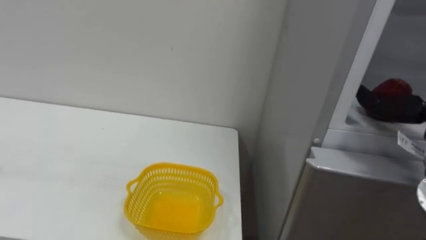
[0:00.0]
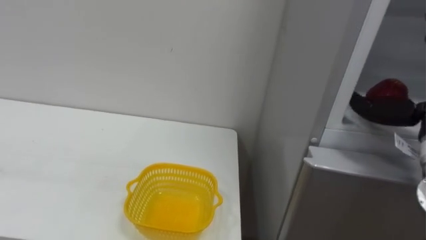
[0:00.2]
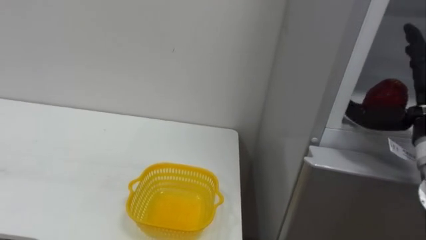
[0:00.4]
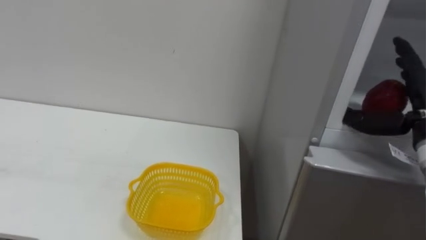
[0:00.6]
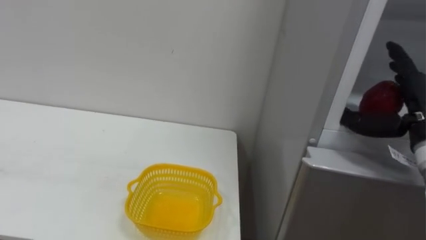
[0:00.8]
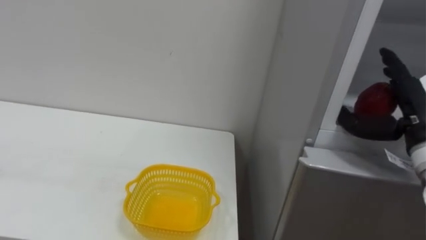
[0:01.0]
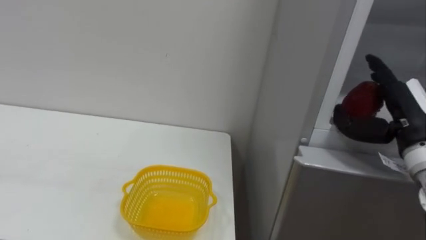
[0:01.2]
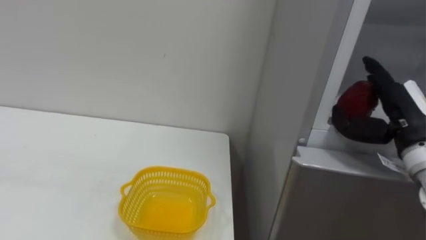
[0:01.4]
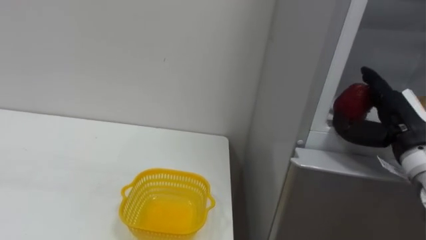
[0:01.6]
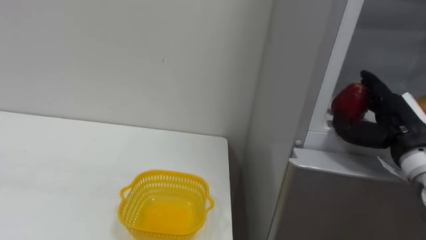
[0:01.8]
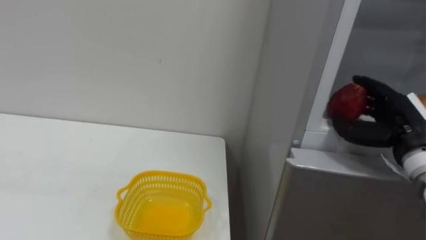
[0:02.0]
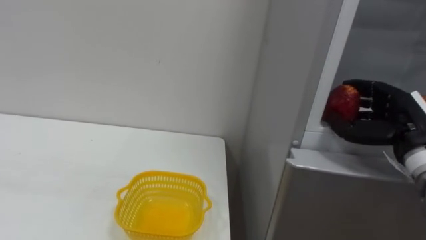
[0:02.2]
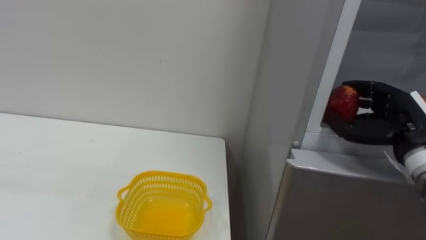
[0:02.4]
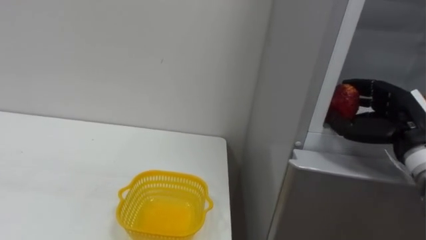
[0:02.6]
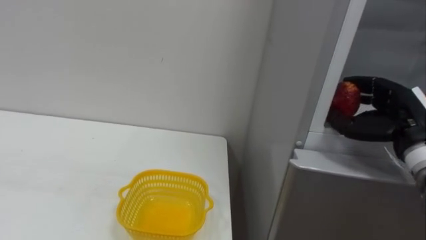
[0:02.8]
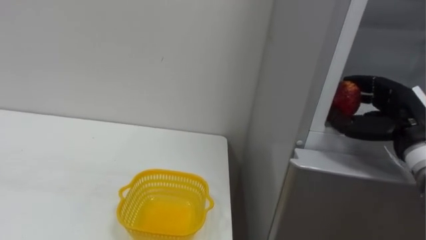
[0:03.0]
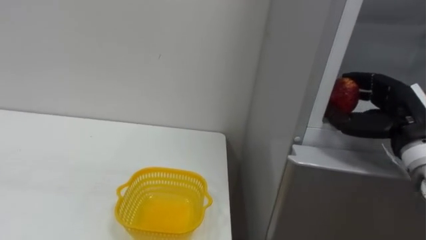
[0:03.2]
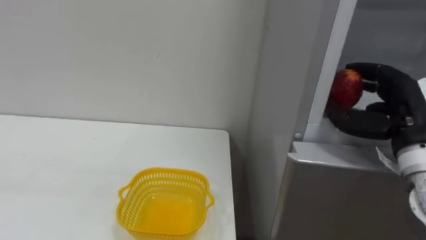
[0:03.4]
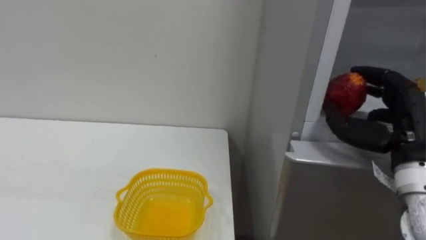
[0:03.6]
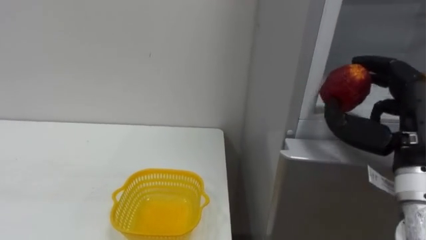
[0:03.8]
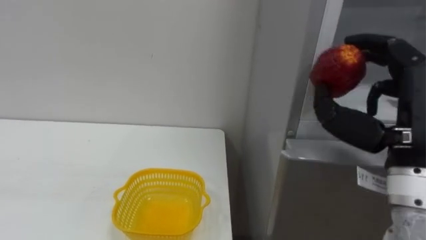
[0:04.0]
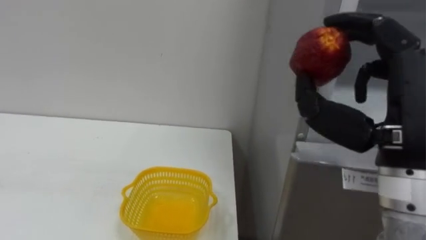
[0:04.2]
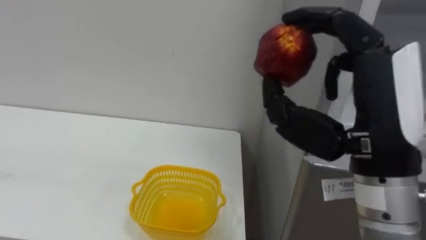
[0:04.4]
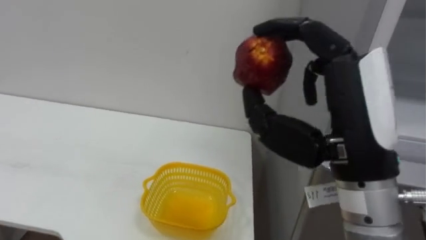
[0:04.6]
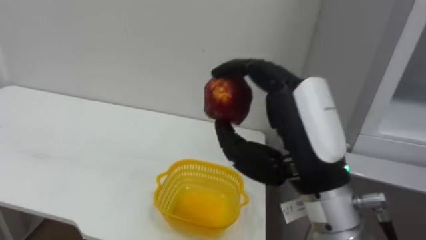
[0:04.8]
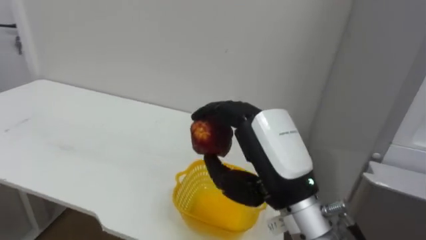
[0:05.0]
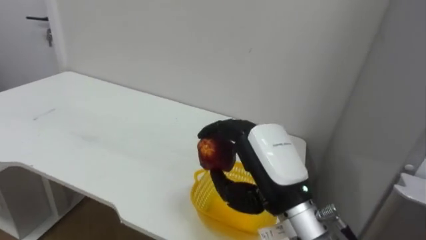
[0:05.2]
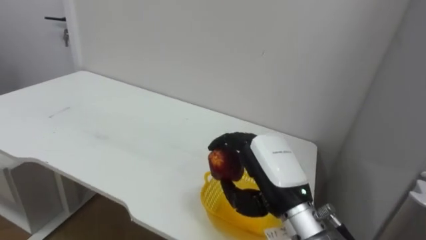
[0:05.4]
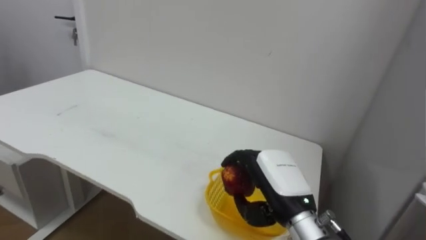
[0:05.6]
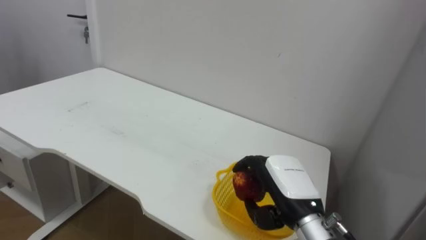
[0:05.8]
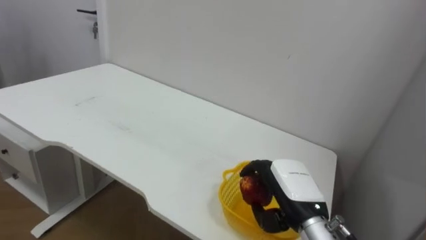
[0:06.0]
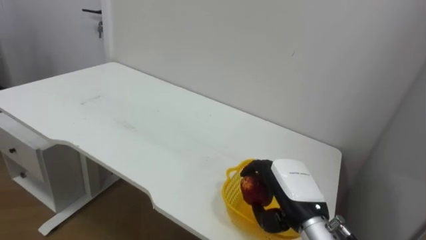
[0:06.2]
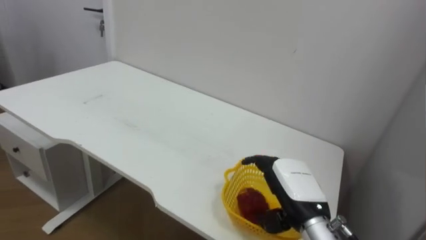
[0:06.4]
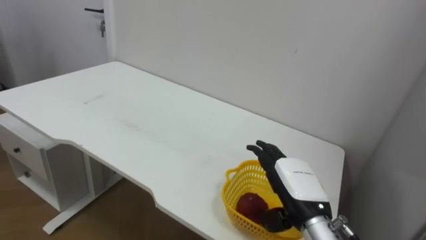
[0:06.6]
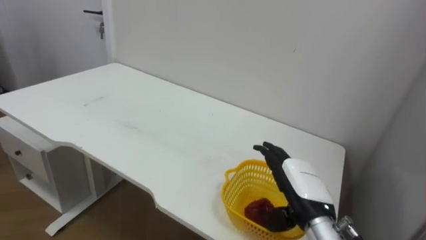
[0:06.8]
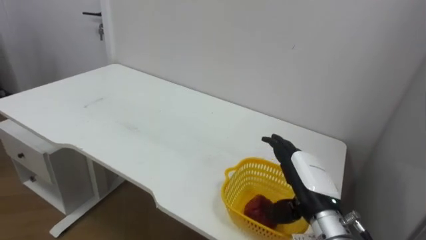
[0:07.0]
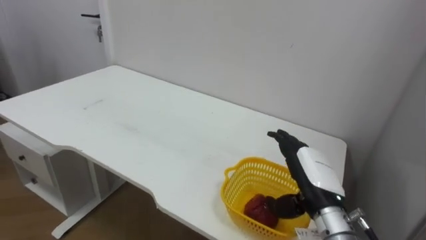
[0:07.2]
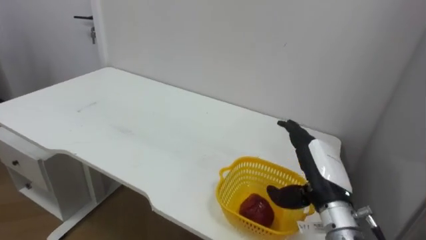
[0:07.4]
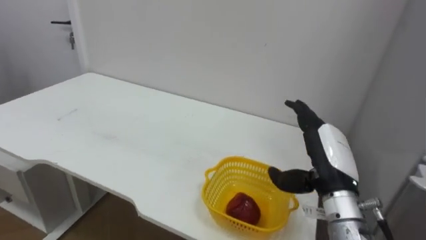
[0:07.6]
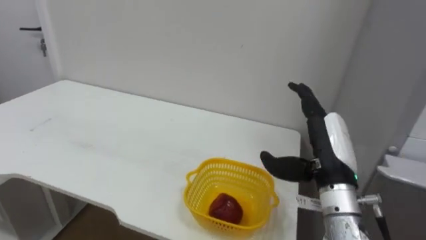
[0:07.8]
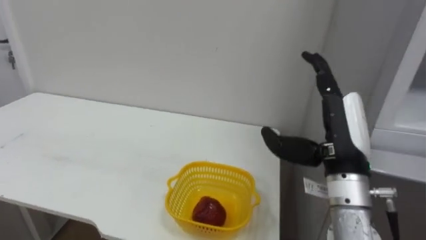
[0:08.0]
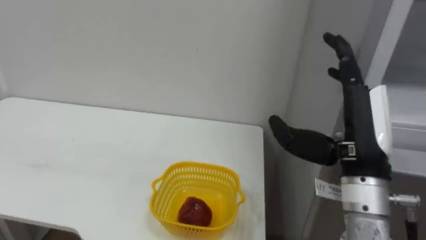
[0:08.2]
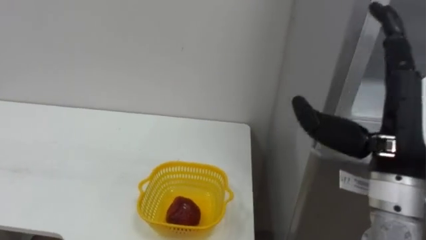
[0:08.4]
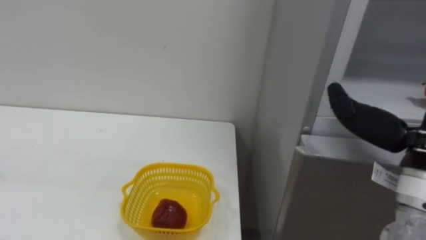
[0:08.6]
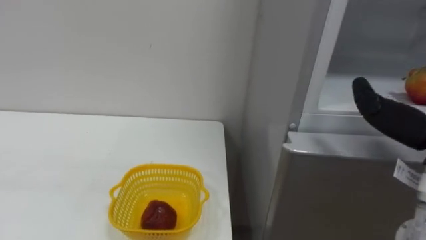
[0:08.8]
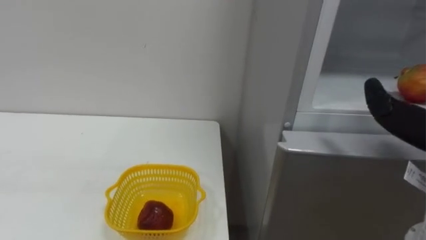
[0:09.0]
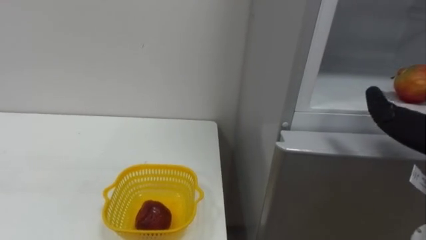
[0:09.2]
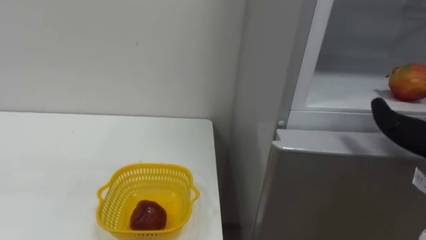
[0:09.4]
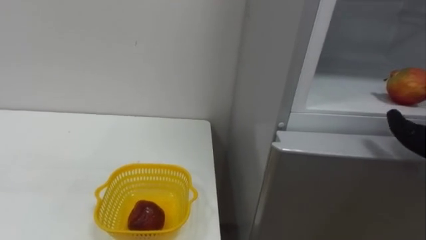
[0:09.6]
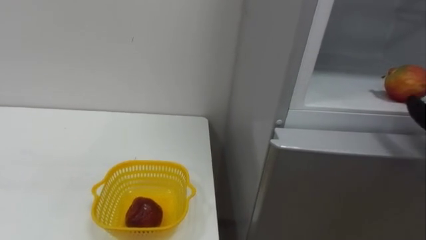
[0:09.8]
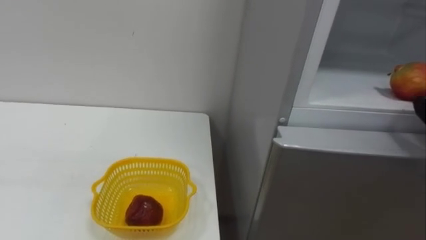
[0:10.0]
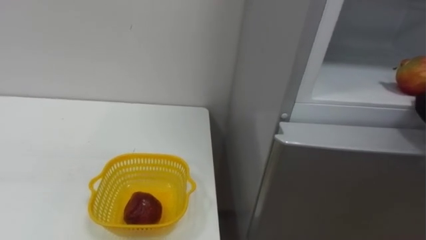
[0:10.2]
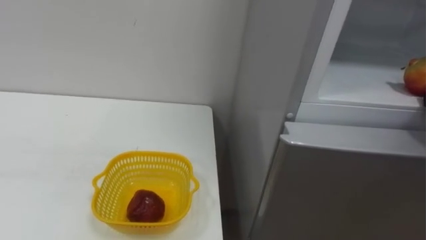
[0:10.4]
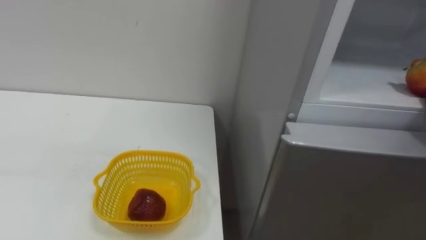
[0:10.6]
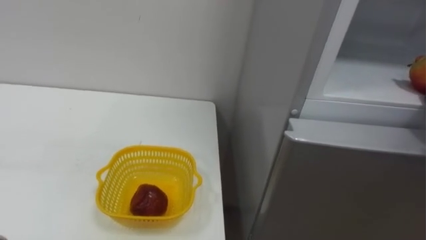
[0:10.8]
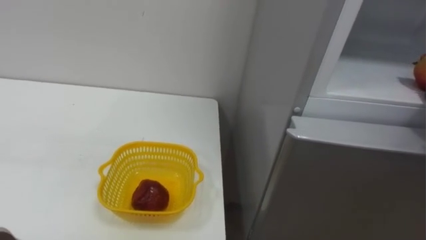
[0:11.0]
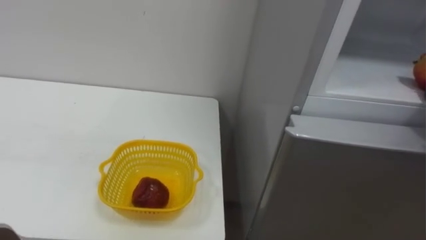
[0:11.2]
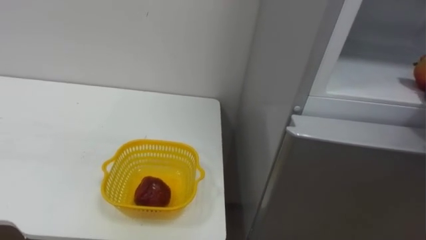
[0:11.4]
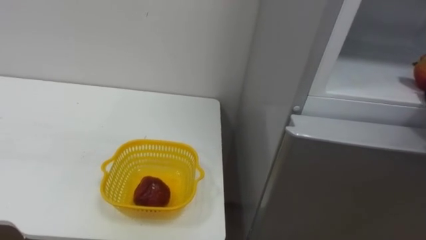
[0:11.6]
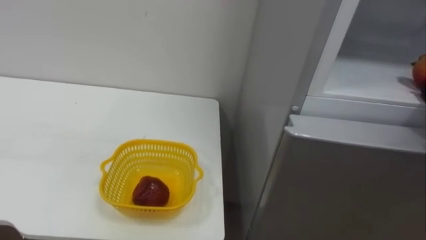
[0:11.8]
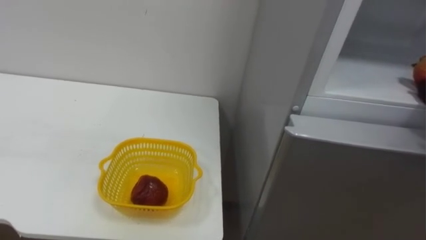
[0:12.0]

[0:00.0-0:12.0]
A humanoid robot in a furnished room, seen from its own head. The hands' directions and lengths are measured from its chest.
Task of the whole recording: Open the refrigerator door, take out the apple and the pomegranate, place them in the fruit basket on the left, and close the refrigerator door.
0:01.6 to 0:03.0: The right hand closes up.
0:03.0 to 0:04.4: The right hand goes approximately 20 cm backward, to the left and upward.
0:04.4 to 0:06.0: The right hand heads downward and forward, covering roughly 25 cm.
0:06.0 to 0:07.6: The right hand moves to the right and upward, roughly 5 cm, and opens its fingers.

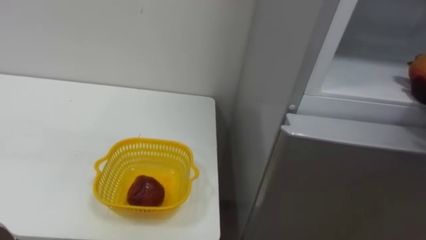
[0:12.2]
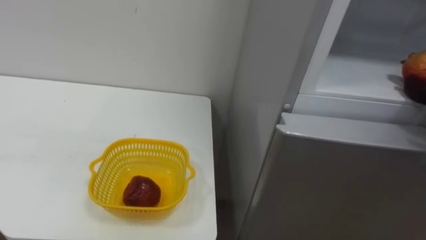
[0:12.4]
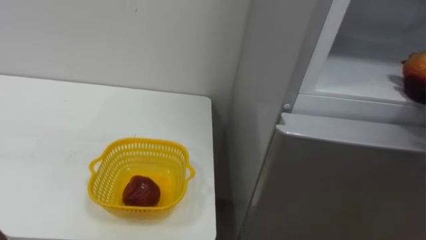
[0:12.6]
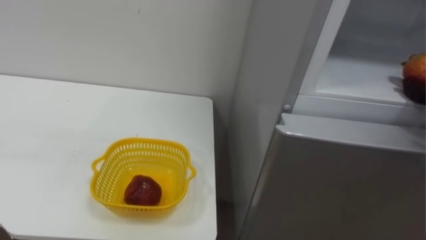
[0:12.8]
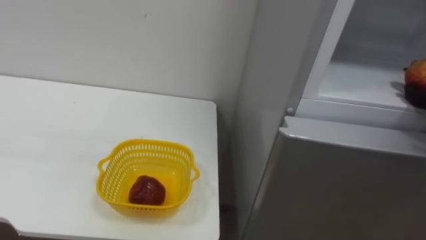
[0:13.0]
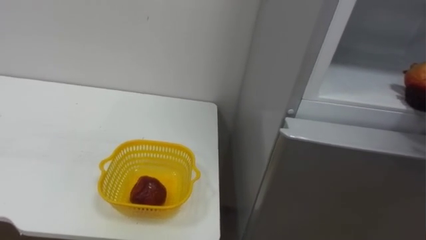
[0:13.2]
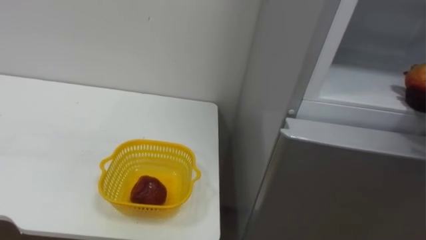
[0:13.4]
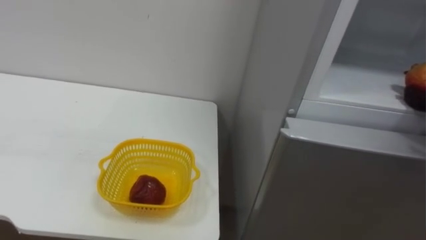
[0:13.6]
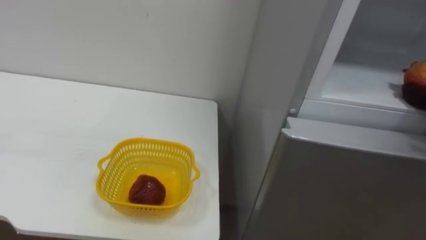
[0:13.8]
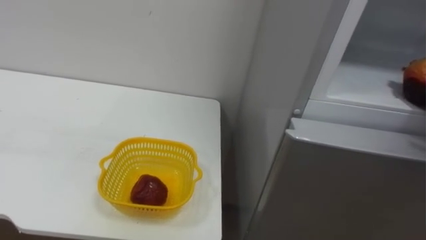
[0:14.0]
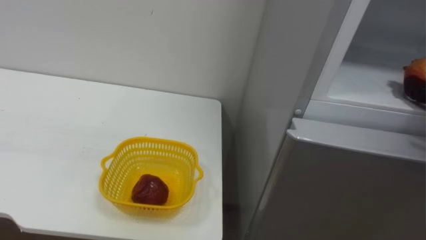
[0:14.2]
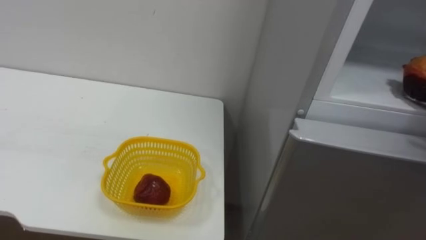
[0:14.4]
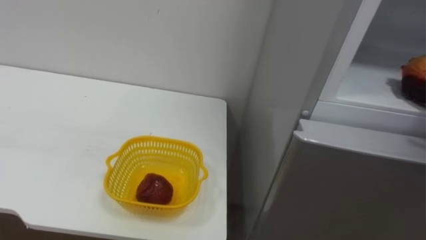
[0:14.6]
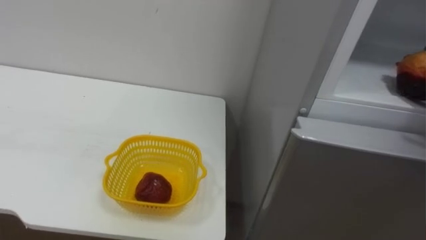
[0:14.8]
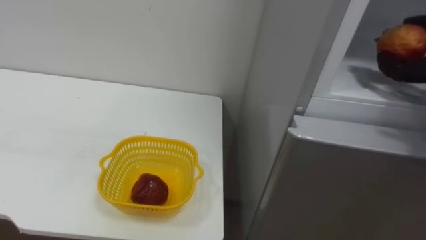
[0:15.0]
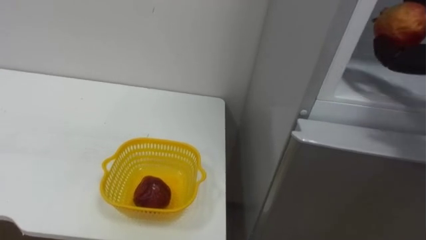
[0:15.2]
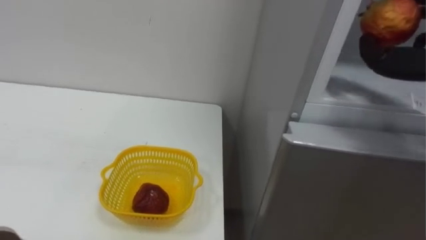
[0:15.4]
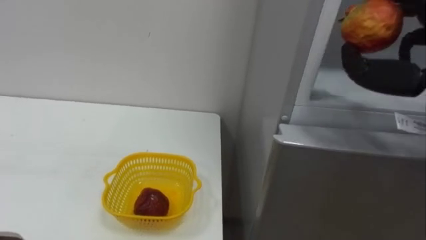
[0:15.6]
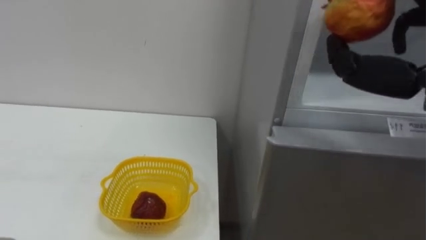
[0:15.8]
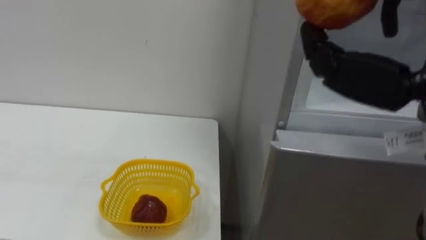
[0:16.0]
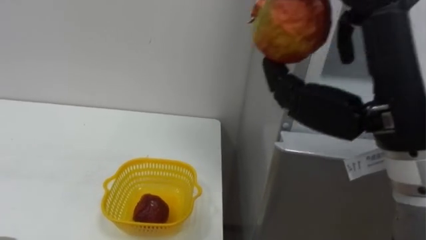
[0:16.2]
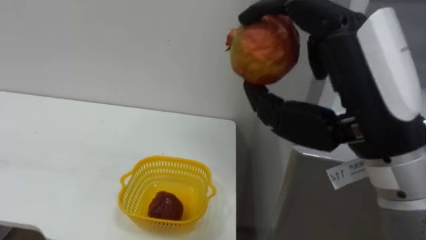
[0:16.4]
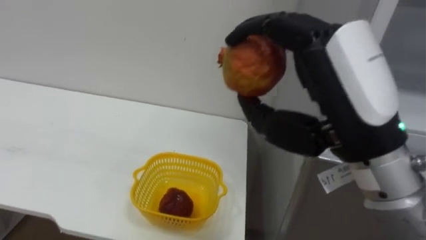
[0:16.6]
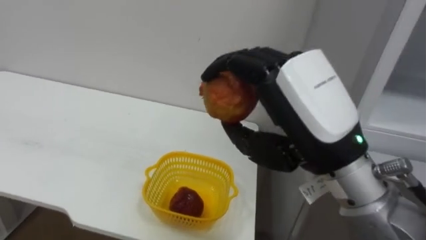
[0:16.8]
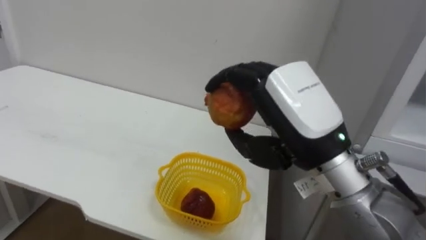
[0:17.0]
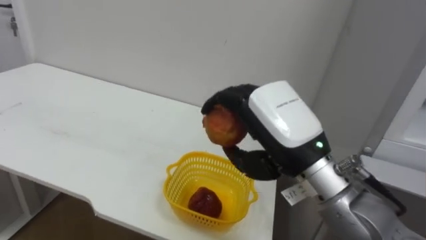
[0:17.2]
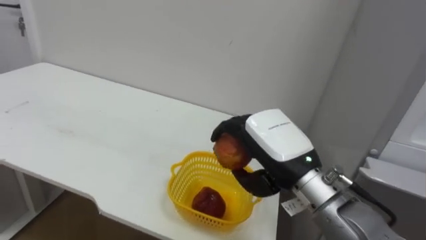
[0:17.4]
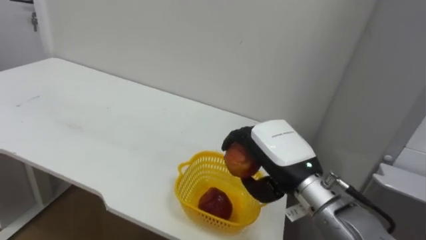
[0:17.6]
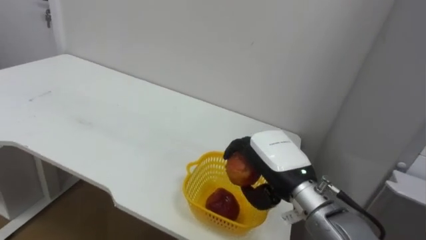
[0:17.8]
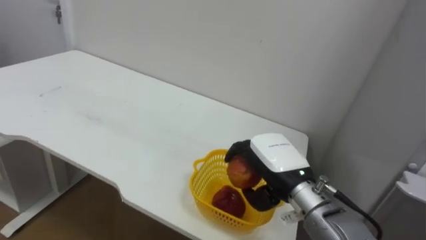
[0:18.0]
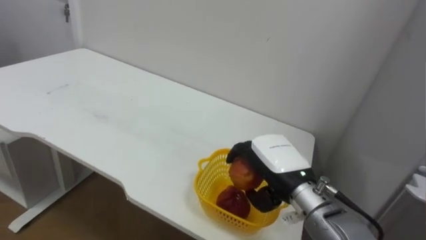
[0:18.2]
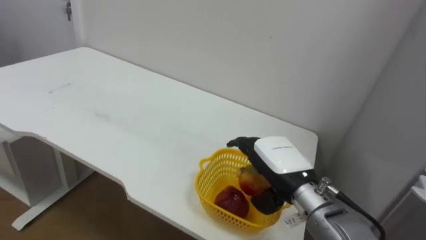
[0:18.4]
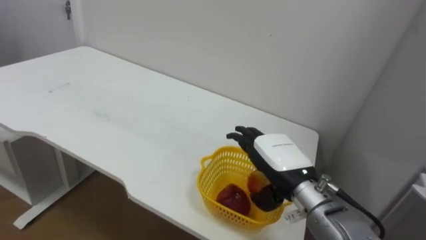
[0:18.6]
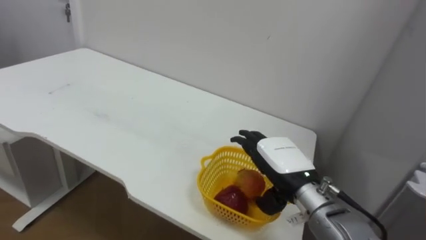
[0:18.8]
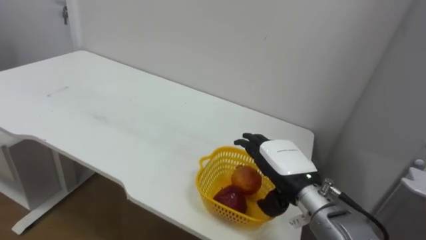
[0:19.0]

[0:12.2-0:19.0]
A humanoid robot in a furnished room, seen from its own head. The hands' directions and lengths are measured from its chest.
Task of the whole recording: Open the refrigerator door, take out the apple and the pomegranate, place them in the fruit basket on the left, and close the refrigerator door.
0:16.2 to 0:17.6: The right hand heads downward and forward, covering about 20 cm.
0:17.6 to 0:19.0: The right hand heads downward, covering approximately 5 cm, and opens its fingers.
